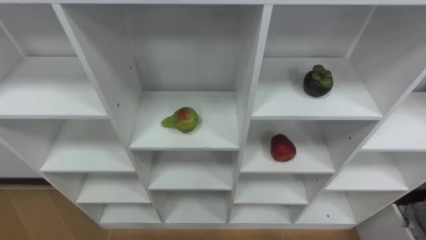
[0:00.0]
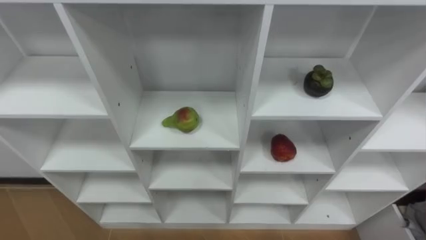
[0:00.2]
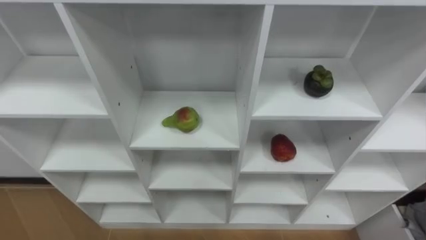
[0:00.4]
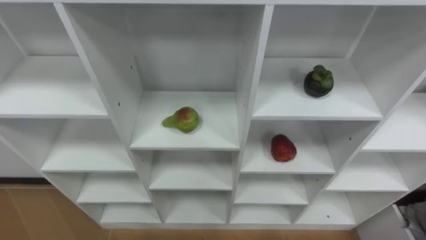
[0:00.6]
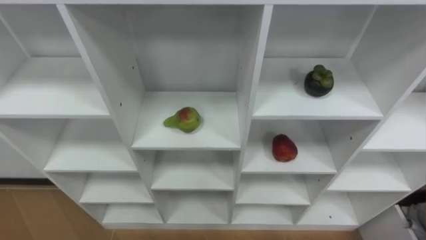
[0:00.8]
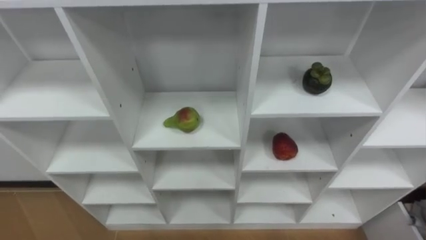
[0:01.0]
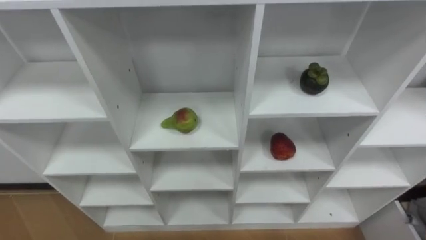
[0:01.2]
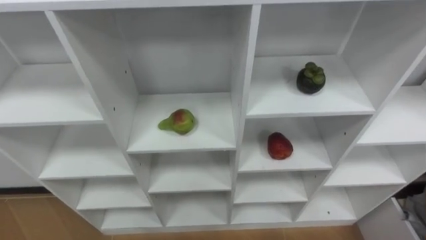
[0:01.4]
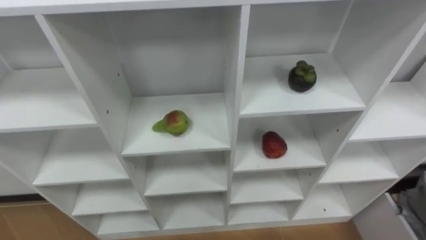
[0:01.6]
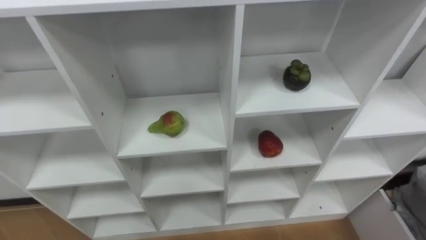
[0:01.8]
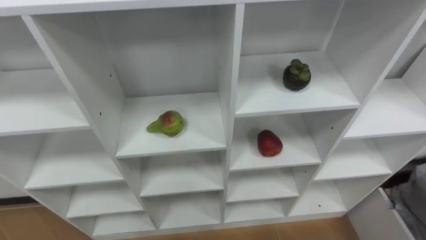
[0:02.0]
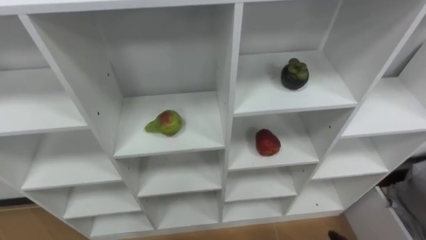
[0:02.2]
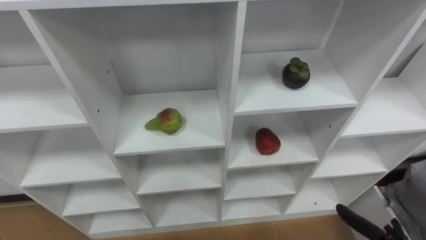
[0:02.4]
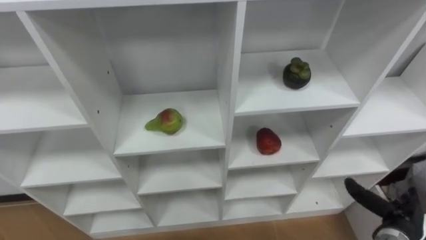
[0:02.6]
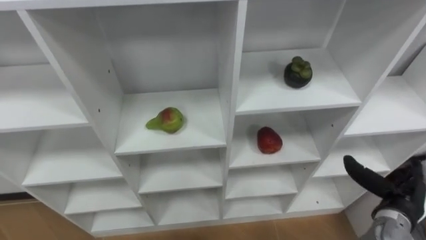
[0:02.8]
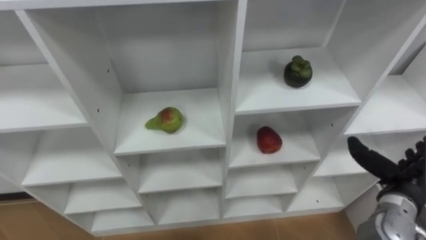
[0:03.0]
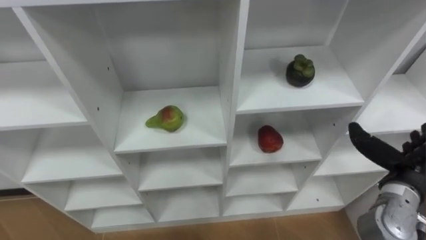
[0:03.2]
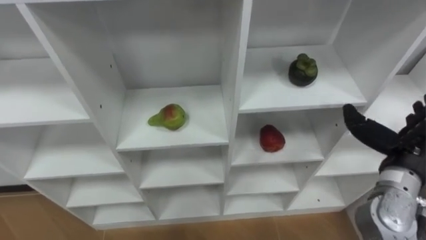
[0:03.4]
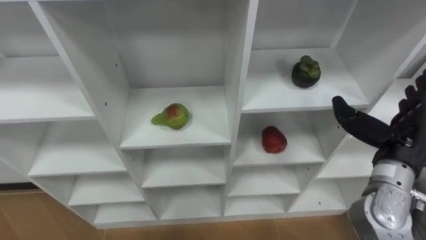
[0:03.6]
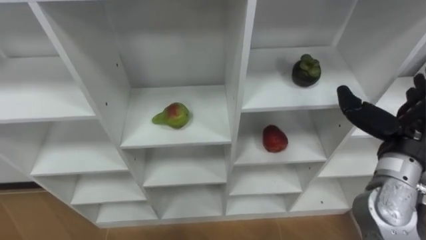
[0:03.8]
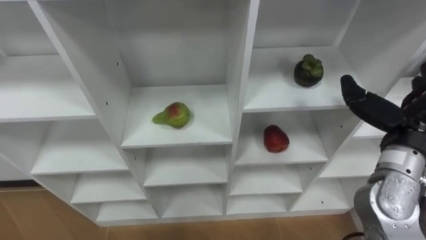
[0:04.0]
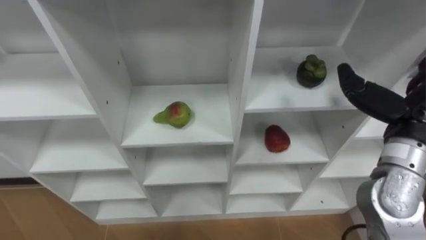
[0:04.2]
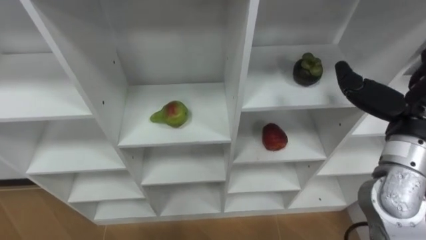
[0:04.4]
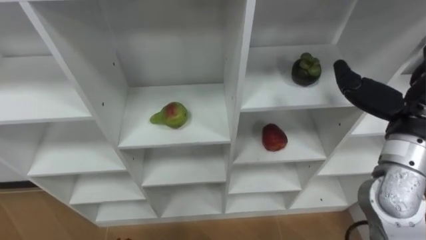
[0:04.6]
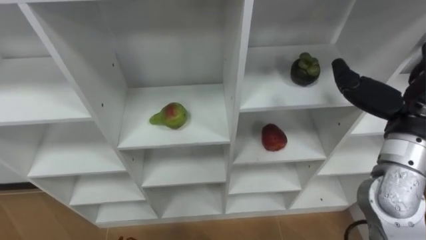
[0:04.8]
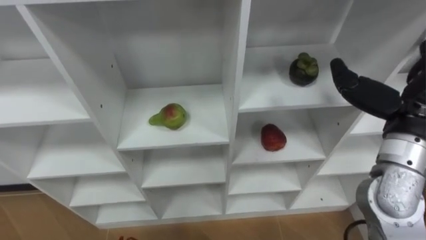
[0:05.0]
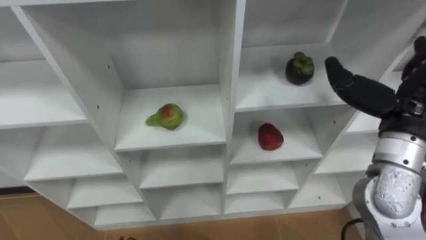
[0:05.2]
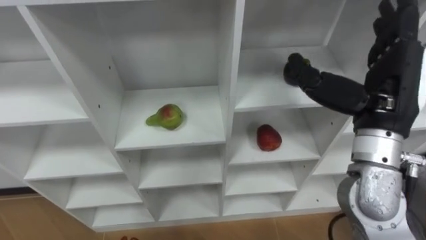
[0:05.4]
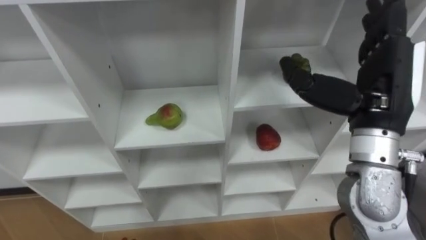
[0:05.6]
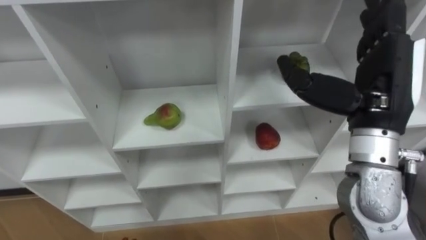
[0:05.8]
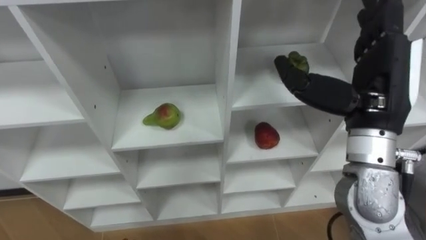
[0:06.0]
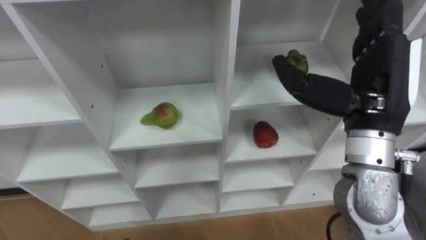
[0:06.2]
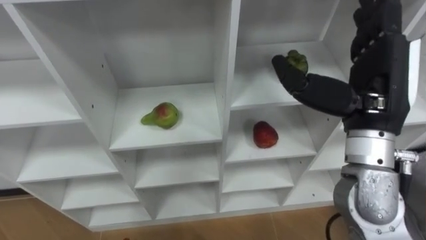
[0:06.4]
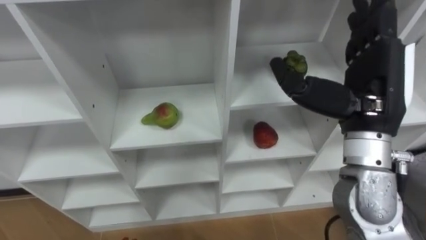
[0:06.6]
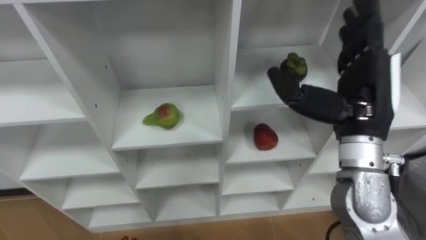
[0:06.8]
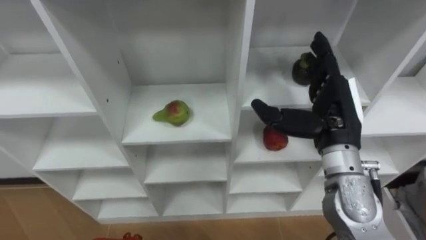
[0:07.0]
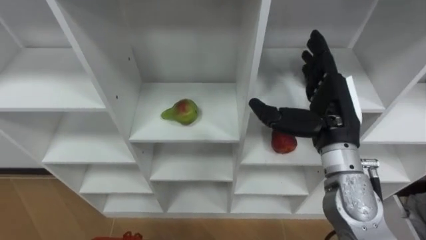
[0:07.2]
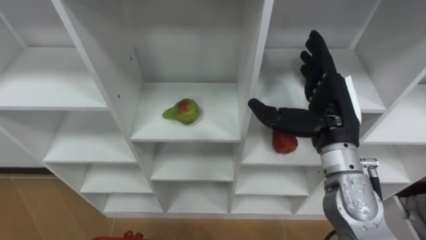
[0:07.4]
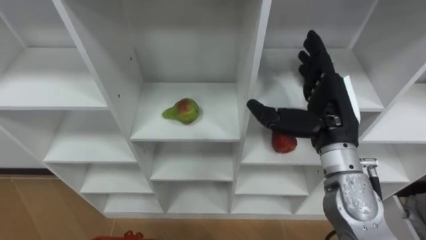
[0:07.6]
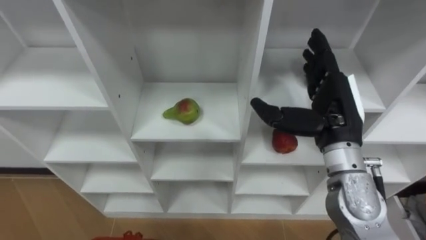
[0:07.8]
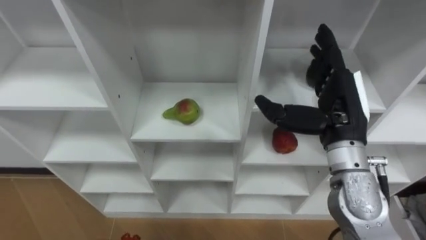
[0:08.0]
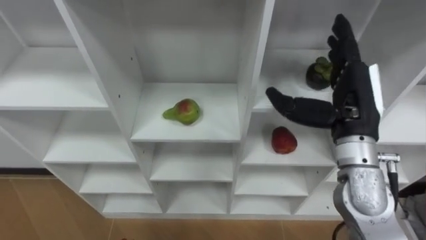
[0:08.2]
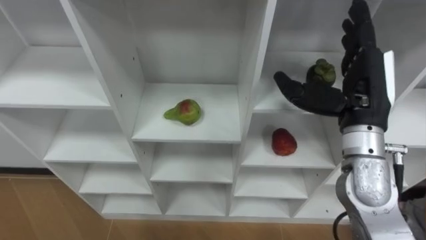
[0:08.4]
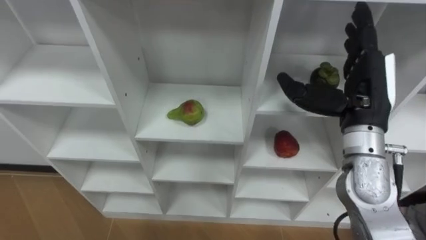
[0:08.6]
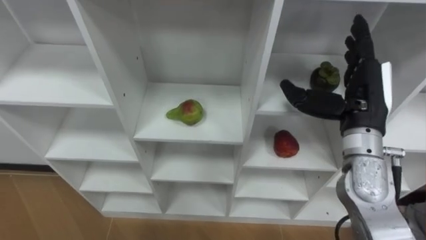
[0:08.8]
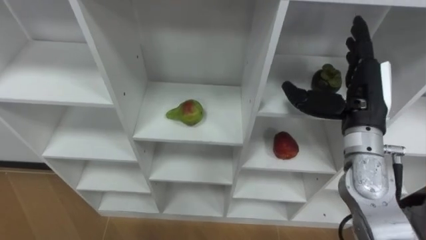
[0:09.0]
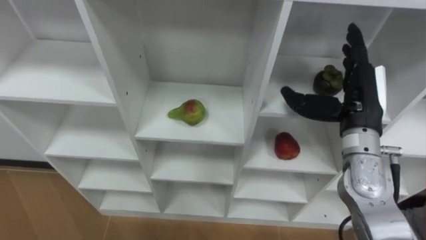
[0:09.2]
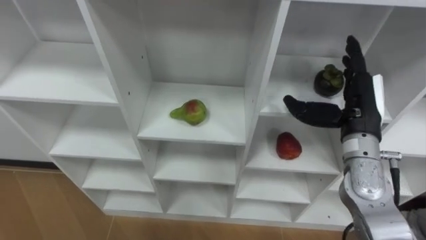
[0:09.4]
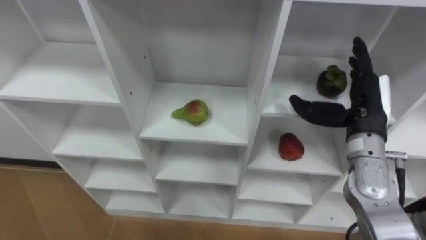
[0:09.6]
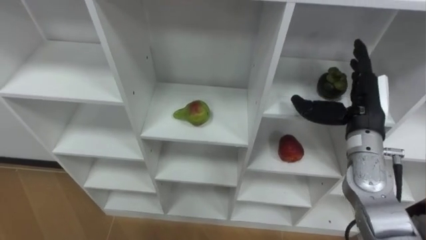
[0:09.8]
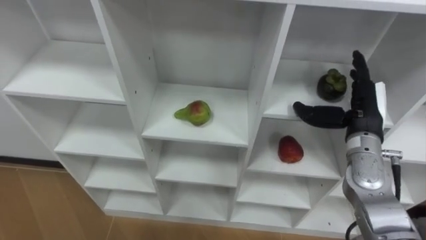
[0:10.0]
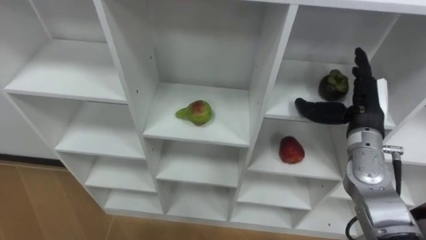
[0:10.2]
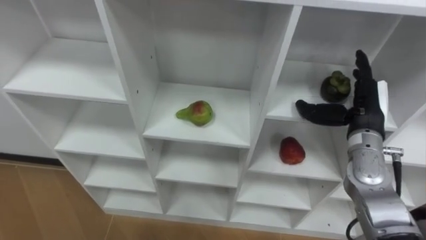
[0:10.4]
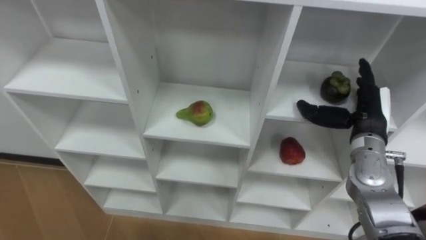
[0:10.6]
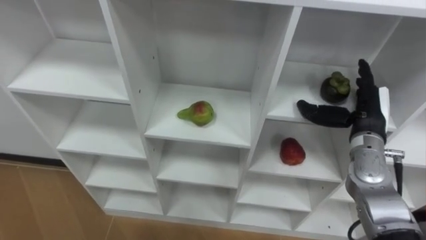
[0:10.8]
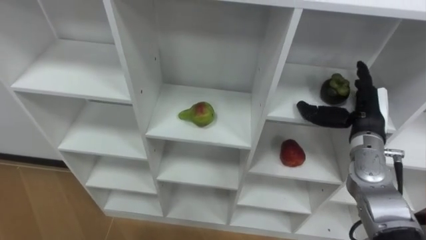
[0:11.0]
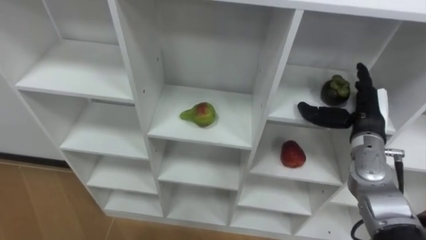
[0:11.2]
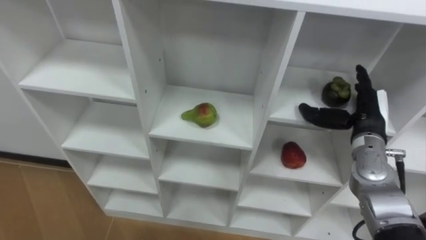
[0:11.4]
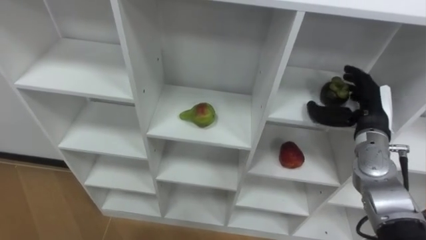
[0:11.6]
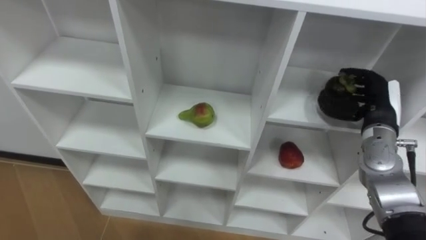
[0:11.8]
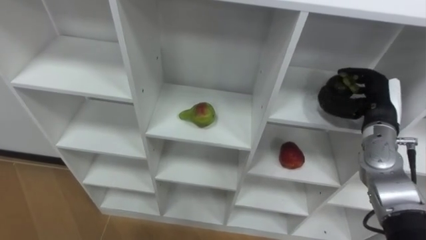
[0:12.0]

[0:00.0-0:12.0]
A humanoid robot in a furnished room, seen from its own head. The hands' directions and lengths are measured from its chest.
Task of the whole recording: Hold the basket and collect the fruits from 3 different cells of the closet into it.
0:03.0 to 0:04.4: The right hand travels upward by roughly 15 cm.
0:04.4 to 0:06.0: The right hand travels to the left by approximately 10 cm.
0:06.0 to 0:07.6: The right hand heads downward, covering approximately 10 cm.
0:07.6 to 0:09.0: The right hand heads to the right, covering some 5 cm.
0:09.0 to 0:10.4: The right hand heads downward, covering approximately 5 cm.
0:10.4 to 0:12.0: The right hand closes up.

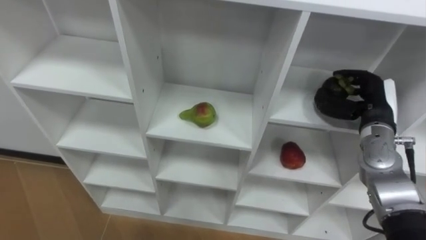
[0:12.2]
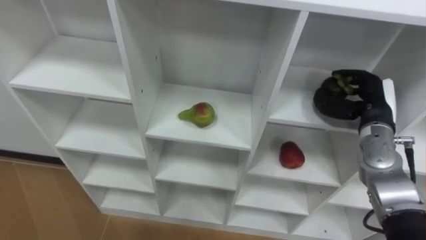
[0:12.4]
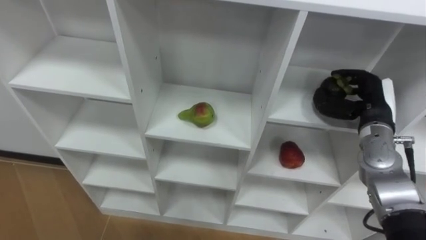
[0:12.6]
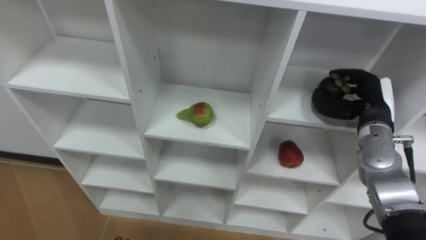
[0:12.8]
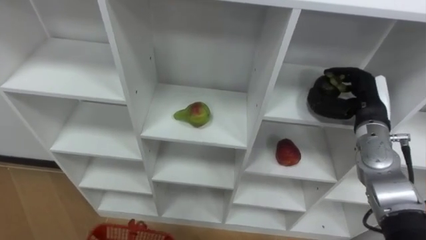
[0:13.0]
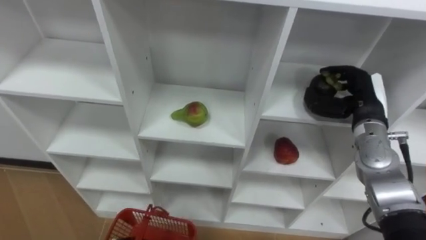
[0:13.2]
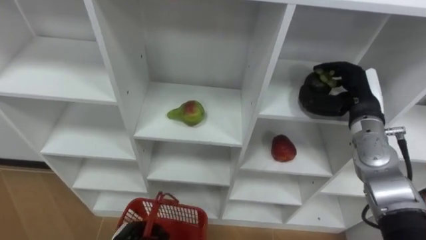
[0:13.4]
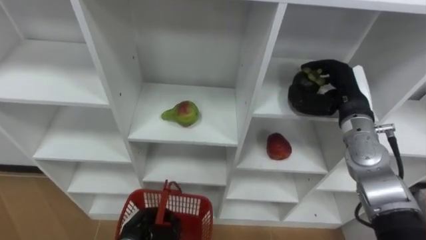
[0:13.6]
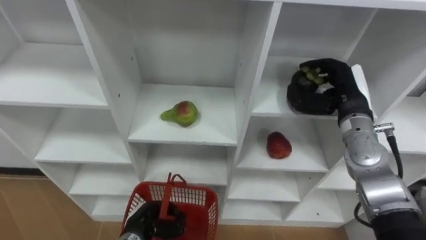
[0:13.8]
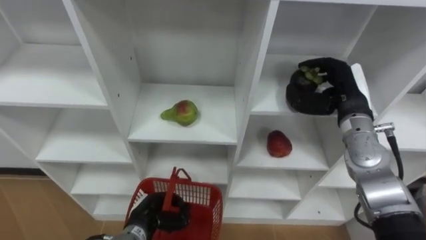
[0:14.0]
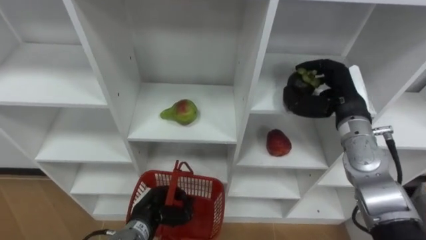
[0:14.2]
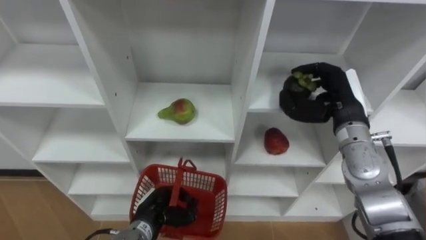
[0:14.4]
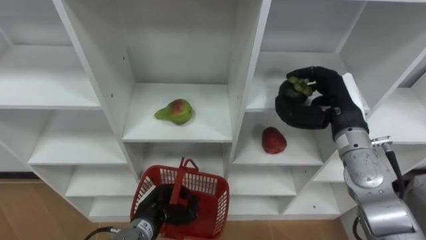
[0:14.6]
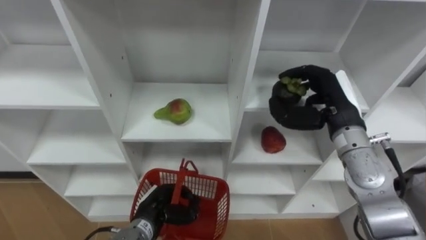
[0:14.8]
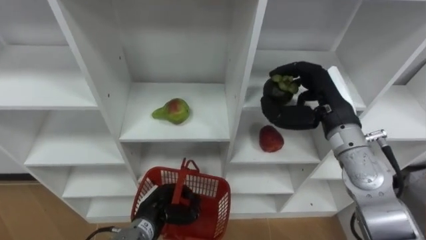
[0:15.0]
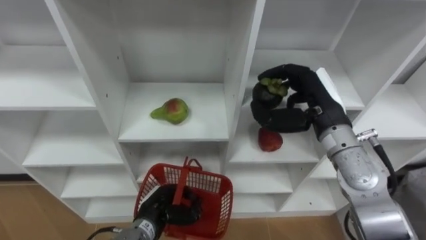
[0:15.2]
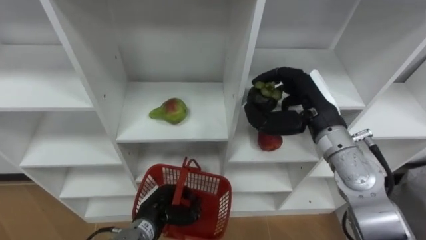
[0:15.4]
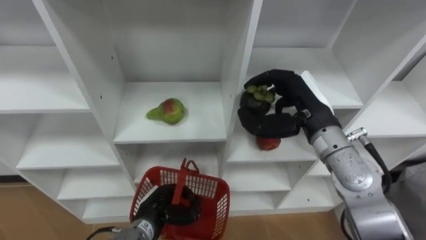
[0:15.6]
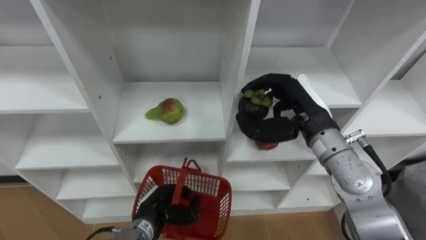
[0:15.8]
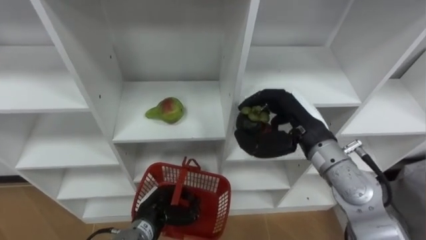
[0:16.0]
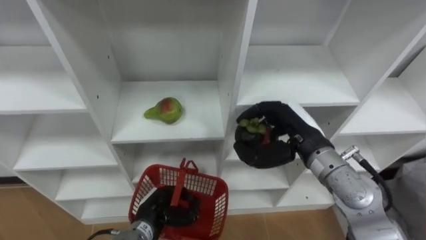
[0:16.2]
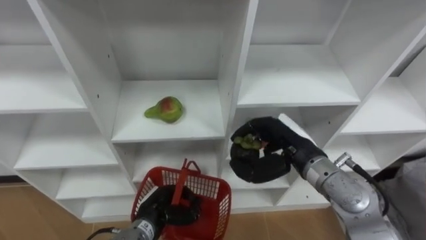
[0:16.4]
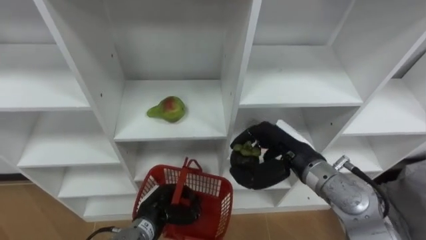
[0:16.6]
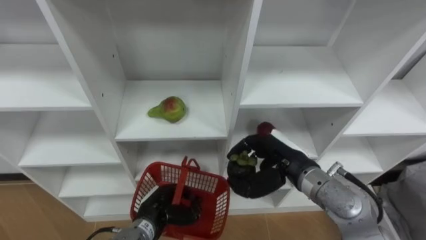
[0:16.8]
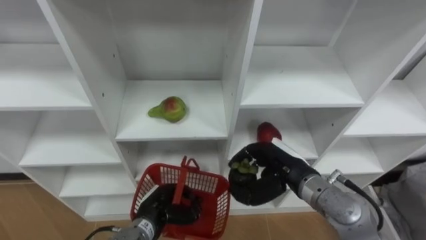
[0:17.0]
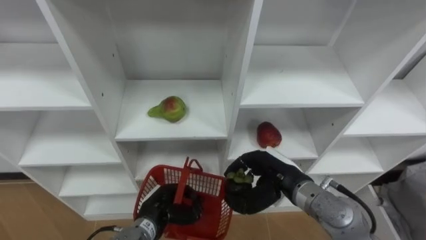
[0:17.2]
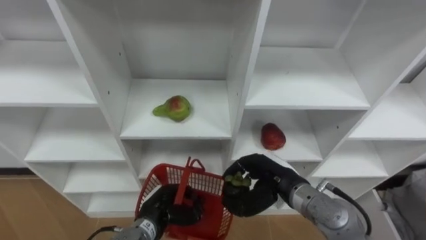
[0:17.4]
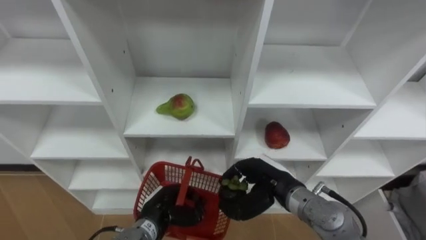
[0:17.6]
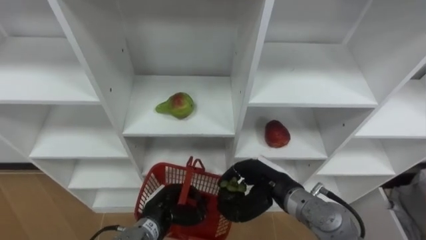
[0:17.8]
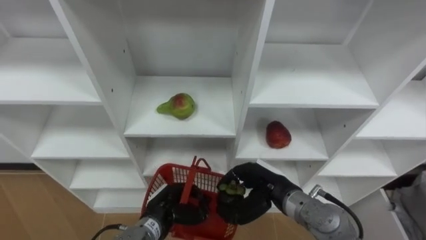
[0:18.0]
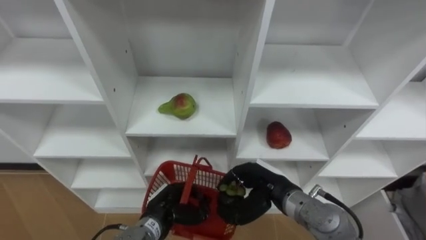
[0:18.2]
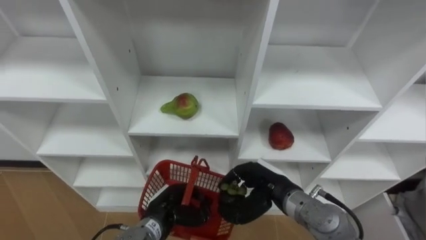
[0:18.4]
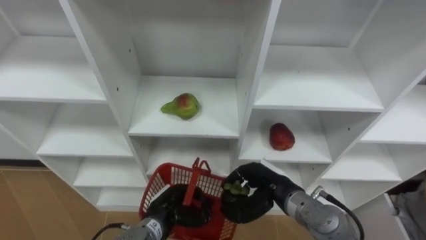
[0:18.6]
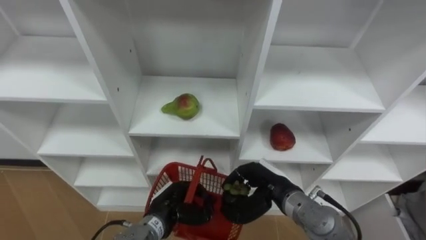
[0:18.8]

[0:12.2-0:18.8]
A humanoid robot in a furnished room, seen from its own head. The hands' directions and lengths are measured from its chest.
Task of the whole recording: Hold the basket and collect the fruits from 3 different cells of the closet into it.
0:12.2 to 0:13.8: The right hand shifts approximately 5 cm to the left.
0:13.8 to 0:15.4: The right hand heads to the left, covering approximately 5 cm.
0:15.4 to 0:17.2: The right hand moves downward and backward, about 15 cm.
